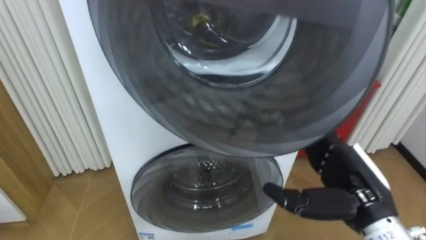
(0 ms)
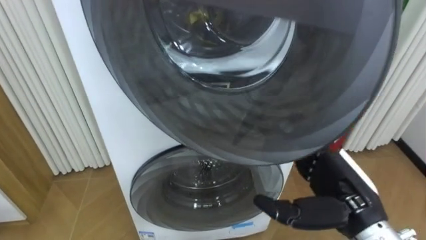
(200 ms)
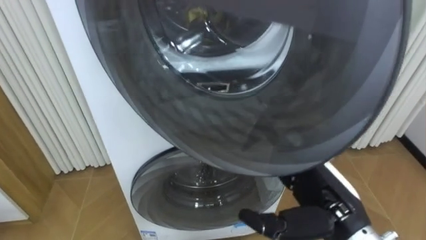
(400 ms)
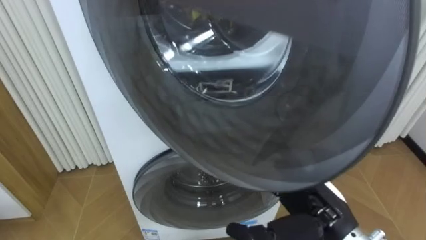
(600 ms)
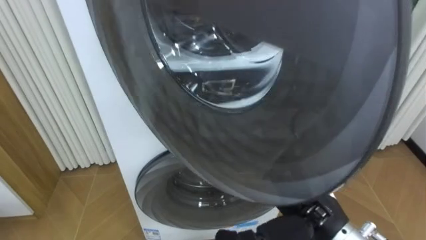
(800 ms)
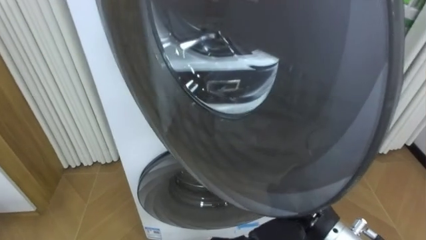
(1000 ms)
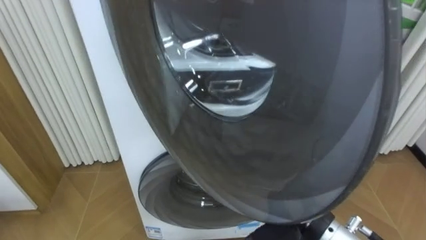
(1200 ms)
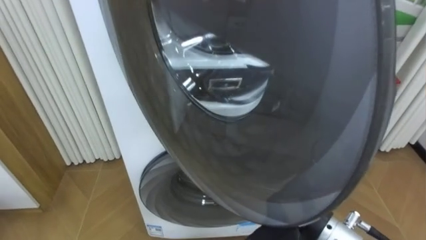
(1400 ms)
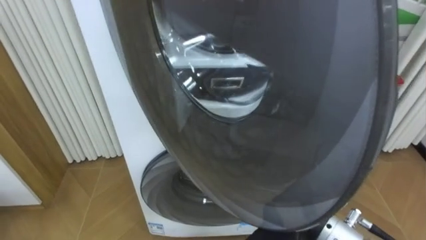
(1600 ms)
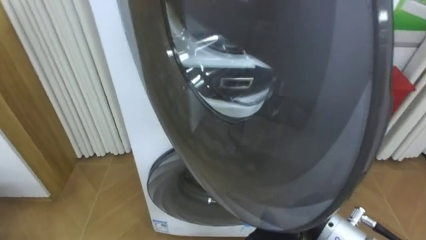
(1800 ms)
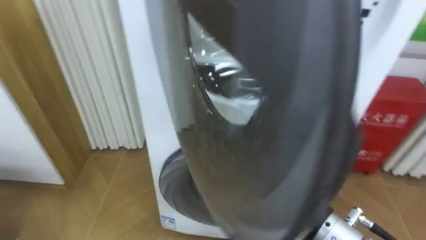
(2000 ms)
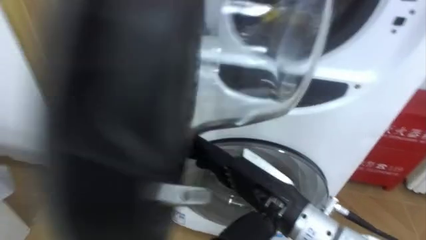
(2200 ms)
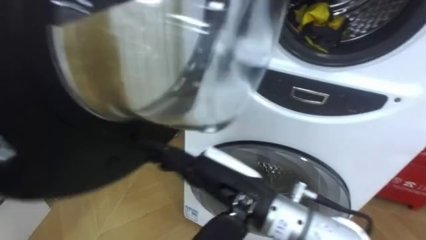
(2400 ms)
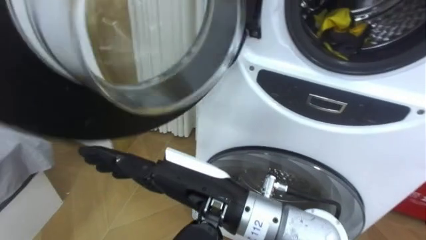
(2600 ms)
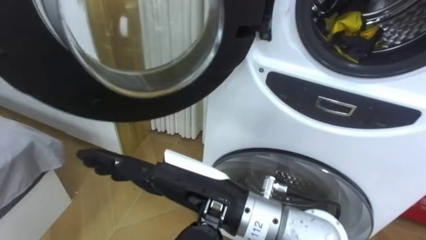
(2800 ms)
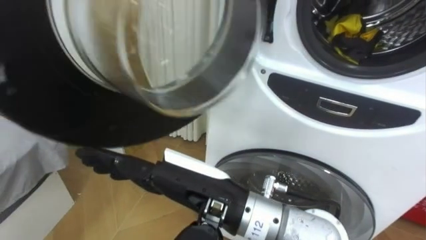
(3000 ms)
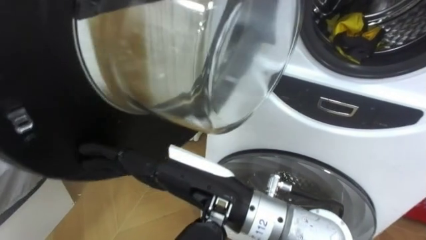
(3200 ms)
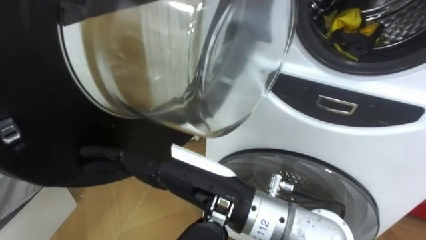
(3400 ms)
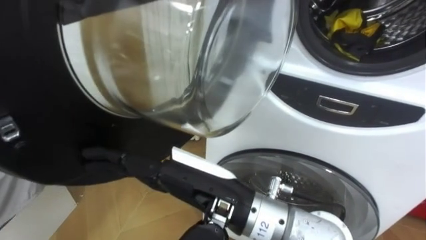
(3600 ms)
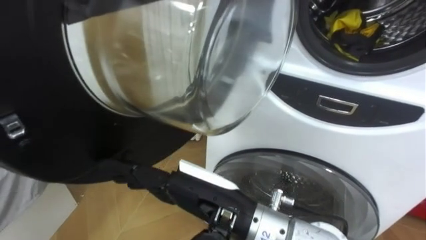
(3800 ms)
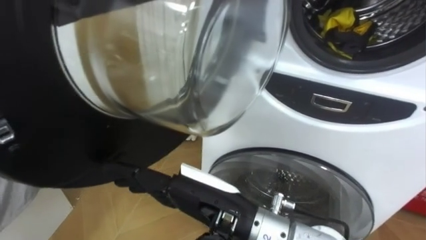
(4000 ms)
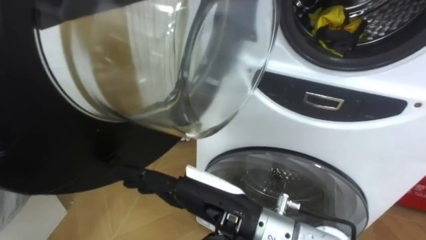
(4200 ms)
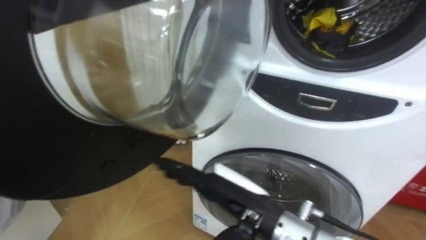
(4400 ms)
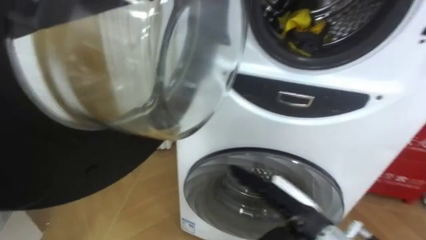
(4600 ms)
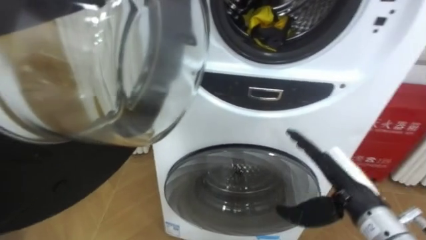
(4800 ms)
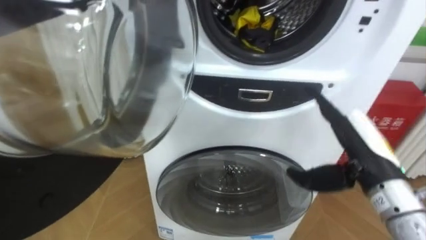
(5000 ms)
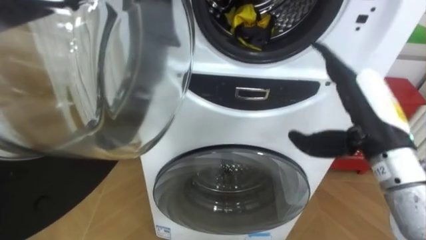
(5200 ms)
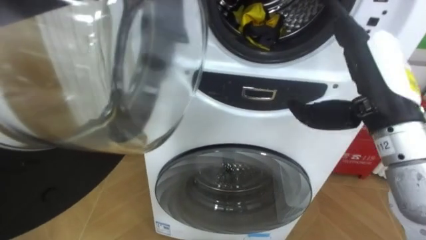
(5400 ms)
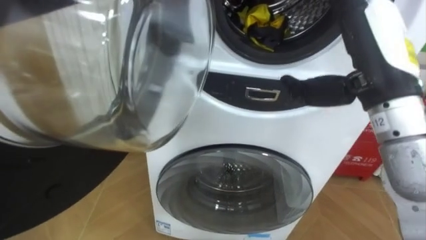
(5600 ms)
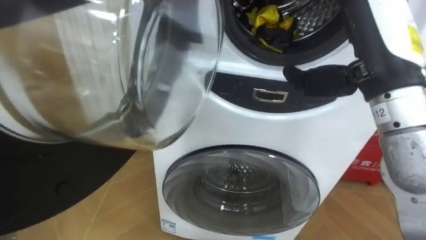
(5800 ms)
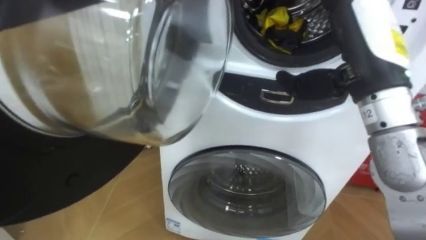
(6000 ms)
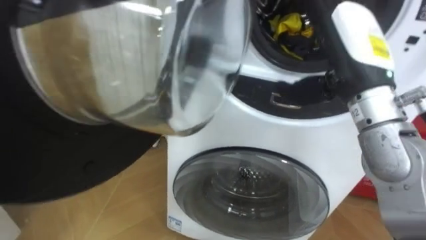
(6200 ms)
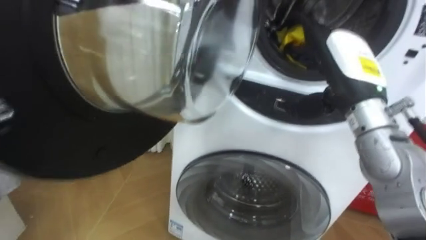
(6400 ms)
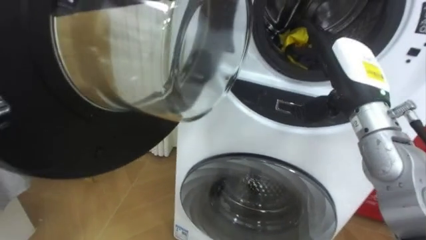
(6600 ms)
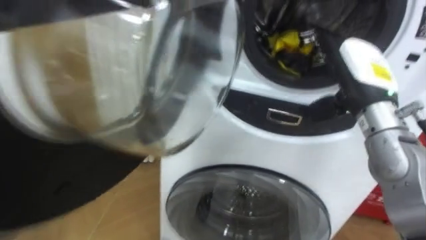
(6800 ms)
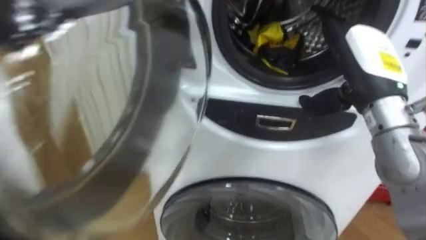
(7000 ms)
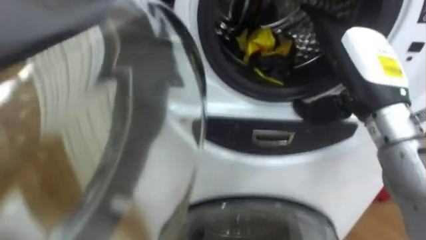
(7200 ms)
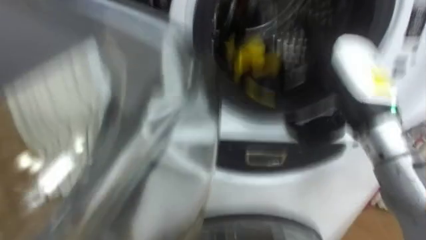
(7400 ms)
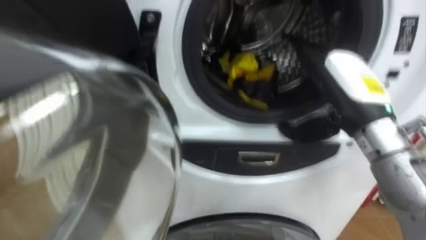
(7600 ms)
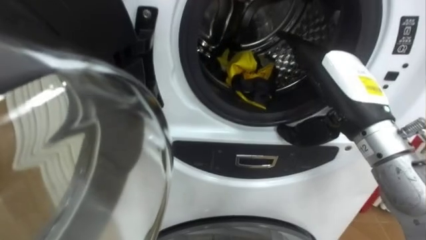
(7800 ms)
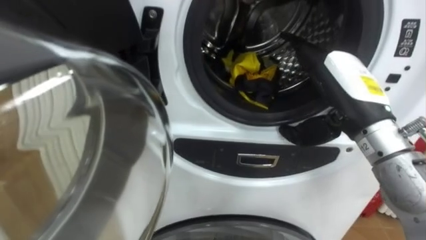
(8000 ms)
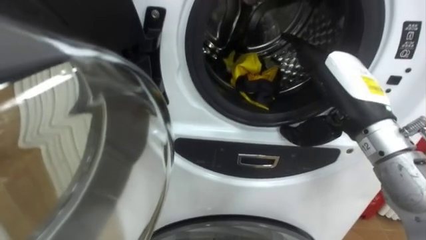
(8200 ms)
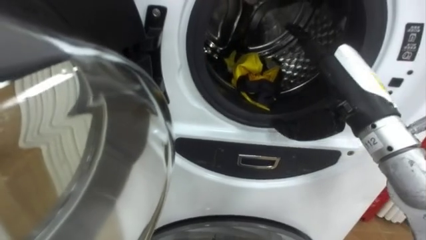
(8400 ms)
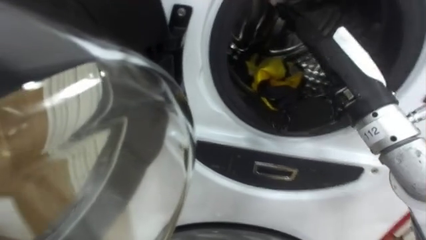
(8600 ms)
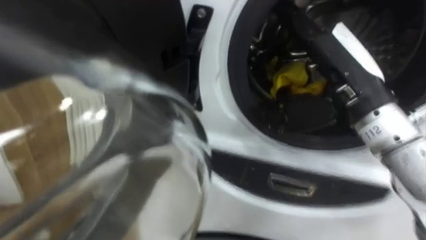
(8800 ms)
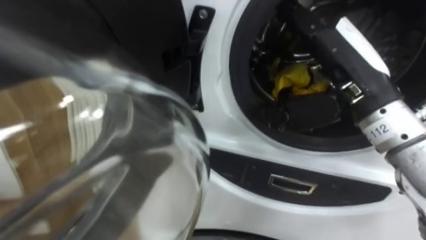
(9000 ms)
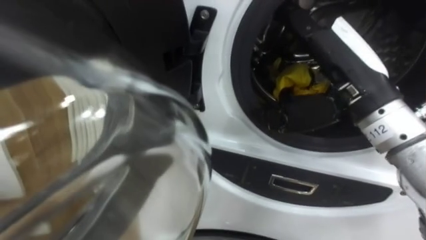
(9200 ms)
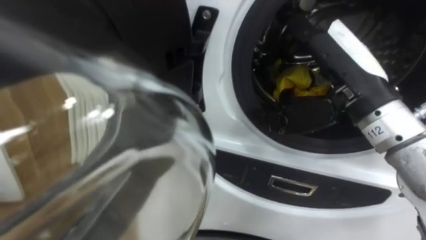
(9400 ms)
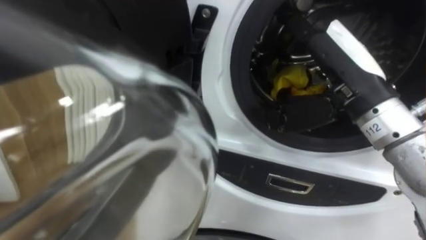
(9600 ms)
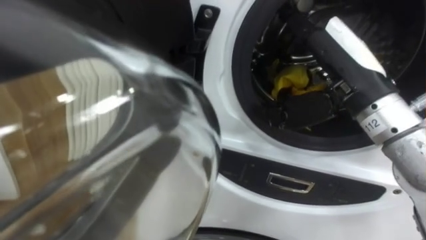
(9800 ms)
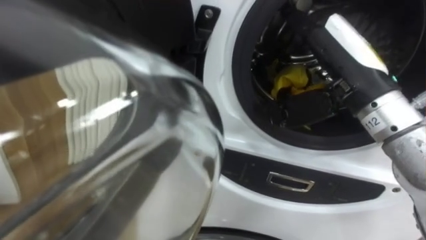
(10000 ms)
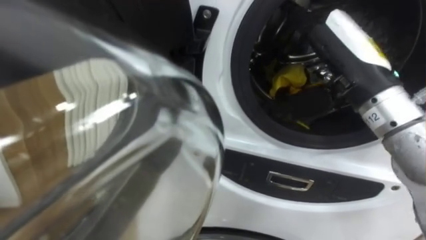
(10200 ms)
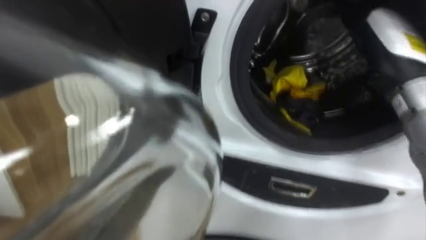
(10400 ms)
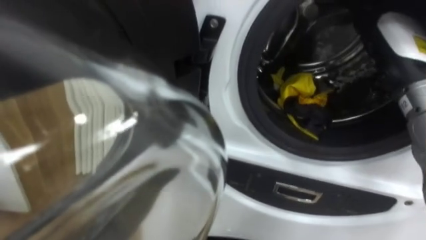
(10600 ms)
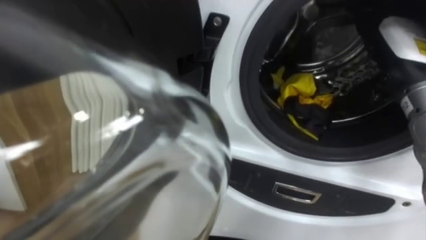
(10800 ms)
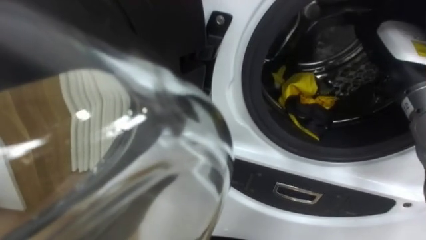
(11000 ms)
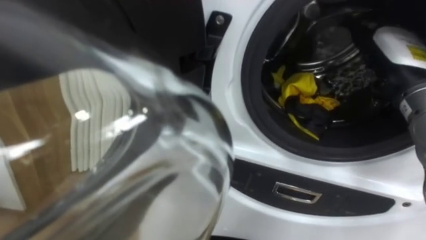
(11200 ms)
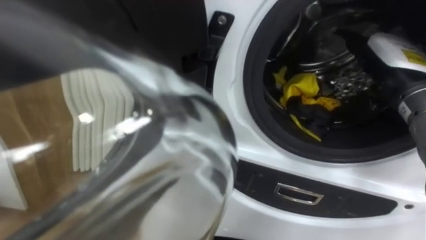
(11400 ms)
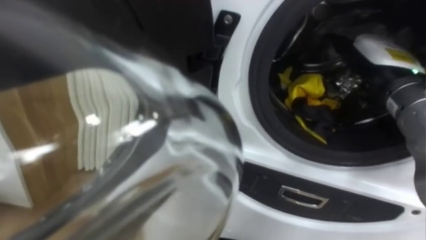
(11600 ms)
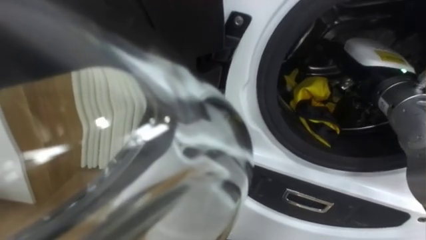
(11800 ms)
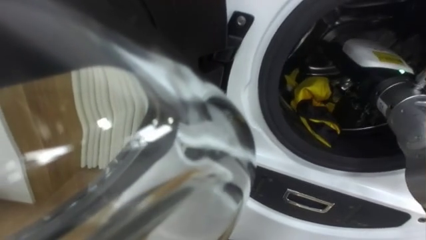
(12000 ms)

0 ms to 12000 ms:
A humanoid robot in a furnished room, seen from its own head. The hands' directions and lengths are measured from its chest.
Task of the whole recording: Open the washing machine door, take out the yellow clothes, place them in the box on the right, and close the washing machine door.
0 ms to 1600 ms: The right hand moves to the left, approximately 10 cm.
1600 ms to 3000 ms: The right hand travels to the left and upward by approximately 15 cm.
3000 ms to 4400 ms: The right hand moves downward and to the right, some 10 cm.
4400 ms to 6000 ms: The right hand travels upward, to the right and forward by approximately 25 cm.
6000 ms to 7600 ms: The right hand moves downward, some 5 cm.
7600 ms to 9000 ms: The right hand shifts by approximately 5 cm.
9000 ms to 10400 ms: The right hand moves to the right, roughly 5 cm.

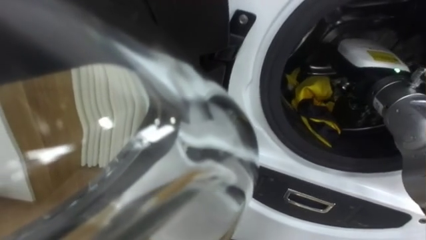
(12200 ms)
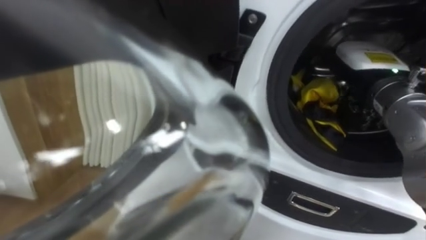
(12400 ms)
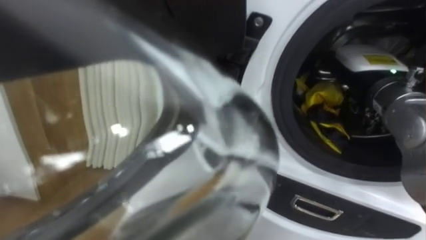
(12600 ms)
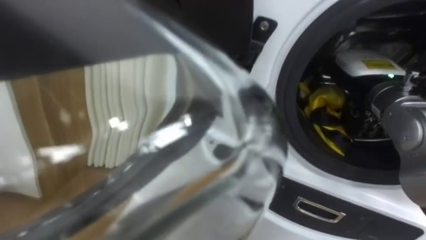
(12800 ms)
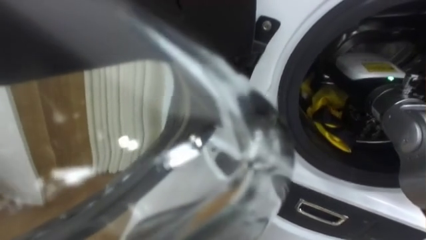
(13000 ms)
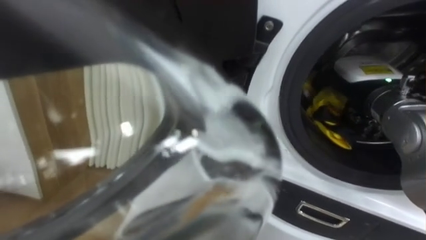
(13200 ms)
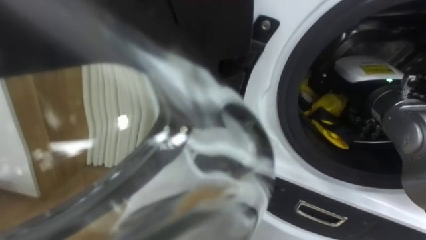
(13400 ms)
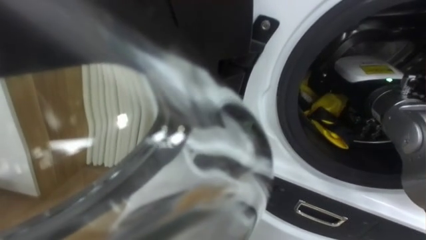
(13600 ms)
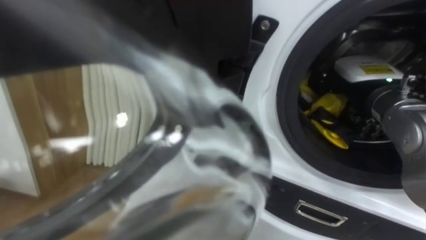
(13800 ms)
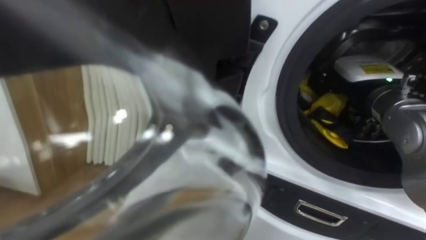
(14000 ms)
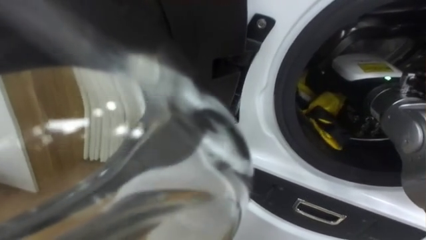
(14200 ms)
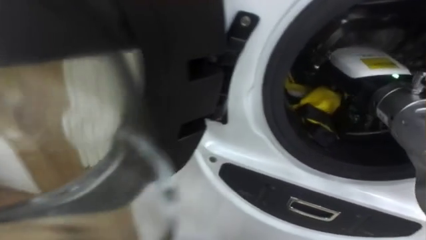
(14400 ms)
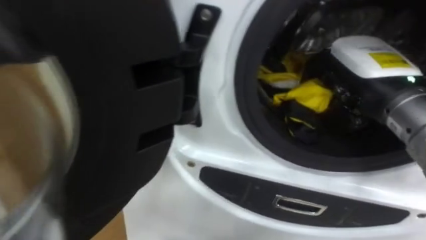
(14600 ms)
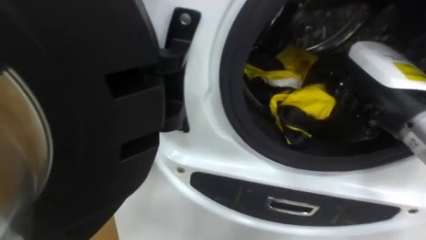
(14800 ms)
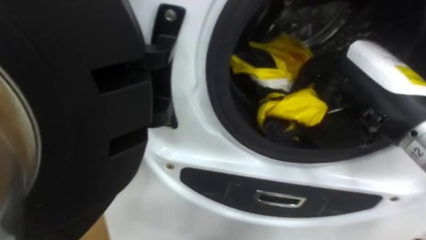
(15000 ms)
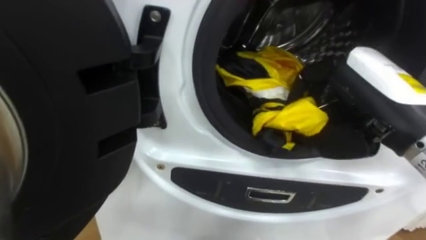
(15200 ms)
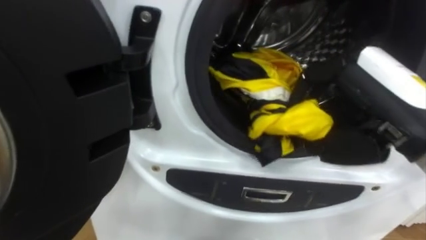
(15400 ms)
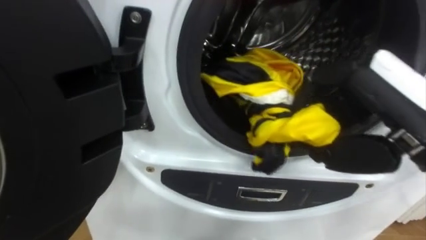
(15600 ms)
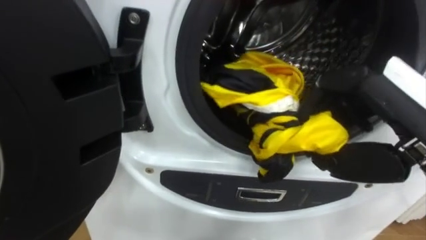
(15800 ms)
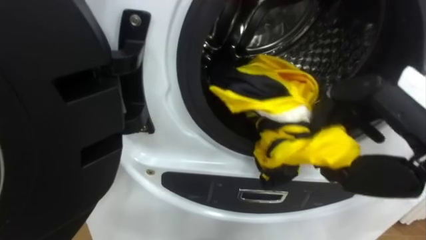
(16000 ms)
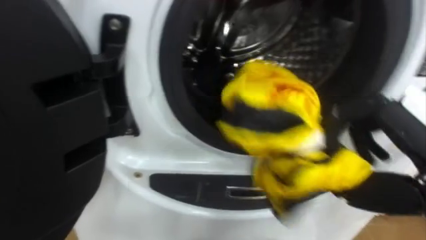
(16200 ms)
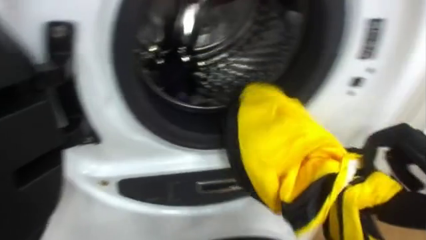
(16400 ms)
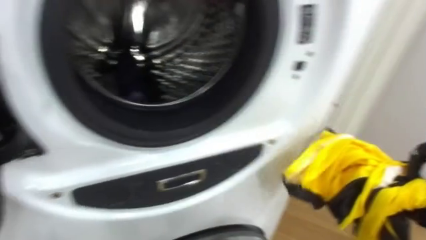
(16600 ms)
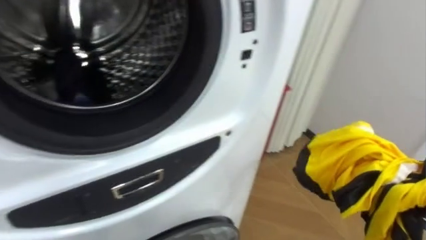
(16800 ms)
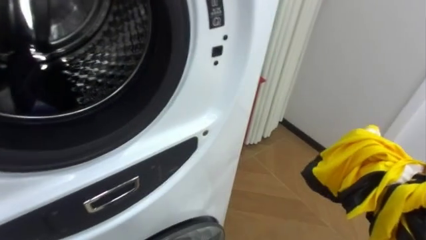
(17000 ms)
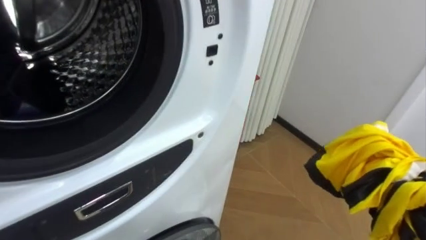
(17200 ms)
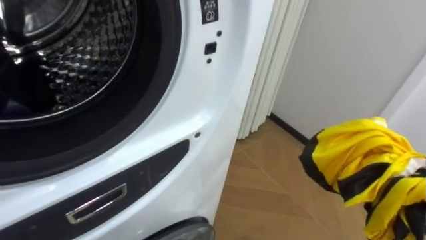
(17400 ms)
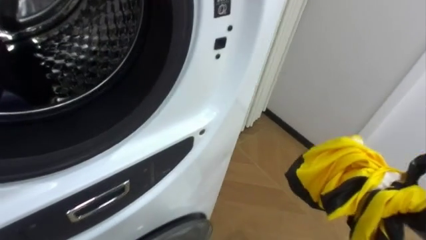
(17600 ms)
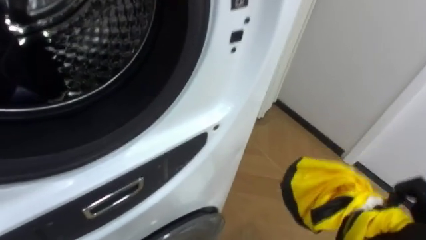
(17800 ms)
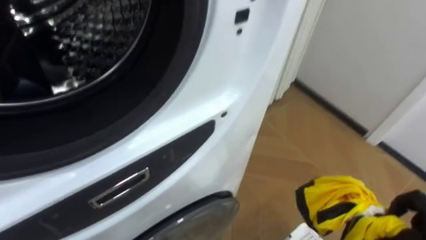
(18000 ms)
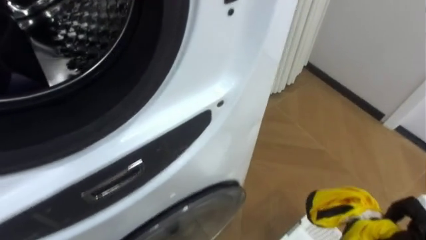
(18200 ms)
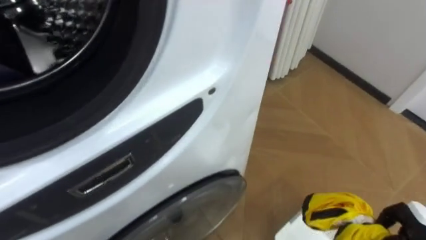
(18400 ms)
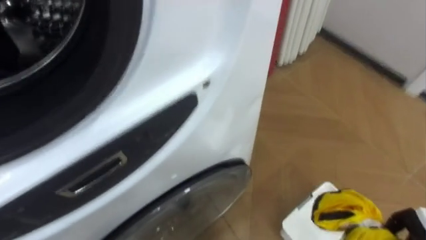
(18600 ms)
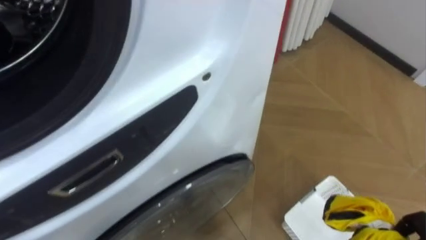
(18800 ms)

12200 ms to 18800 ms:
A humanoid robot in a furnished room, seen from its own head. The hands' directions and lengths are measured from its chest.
Task of the whole recording: Open the washing machine door, take out the yellow clothes, place them in the box on the right, and close the washing machine door.
12200 ms to 13800 ms: The right hand closes.
13800 ms to 15400 ms: The right hand moves backward and upward, some 15 cm.
